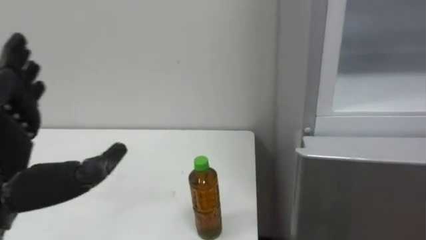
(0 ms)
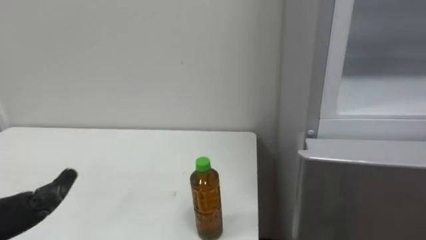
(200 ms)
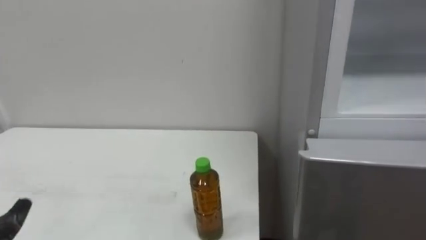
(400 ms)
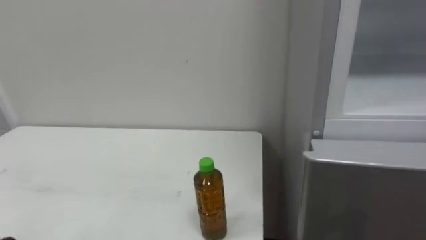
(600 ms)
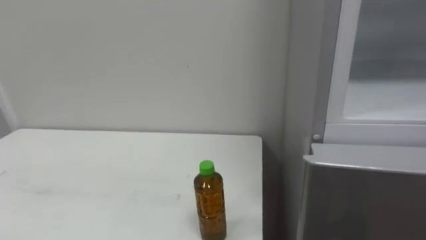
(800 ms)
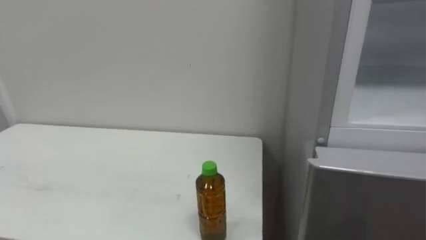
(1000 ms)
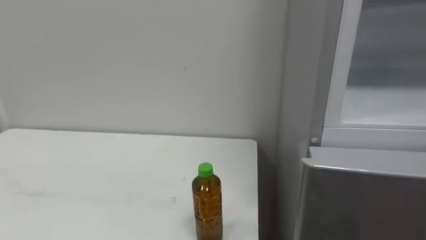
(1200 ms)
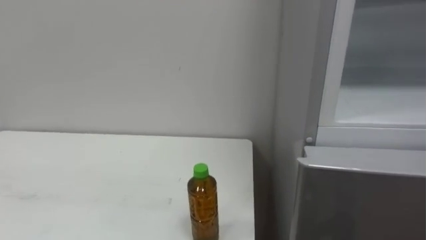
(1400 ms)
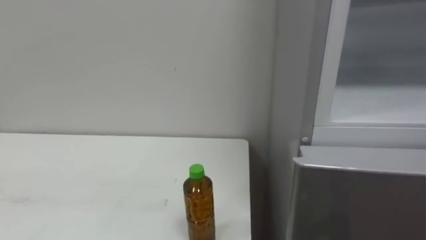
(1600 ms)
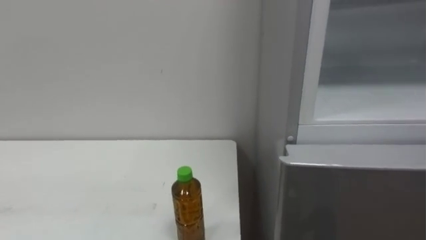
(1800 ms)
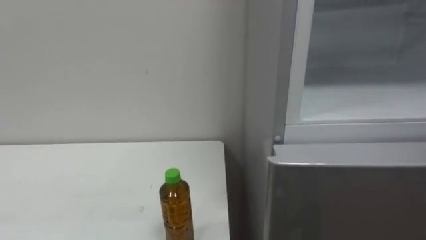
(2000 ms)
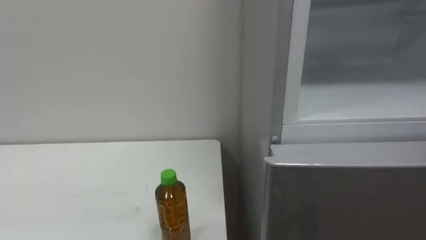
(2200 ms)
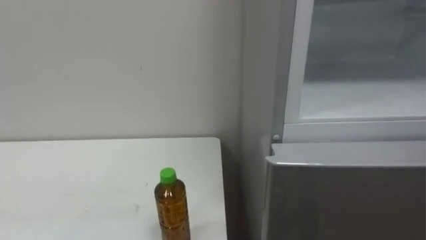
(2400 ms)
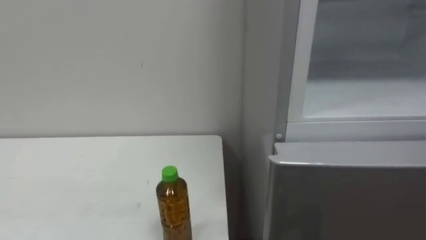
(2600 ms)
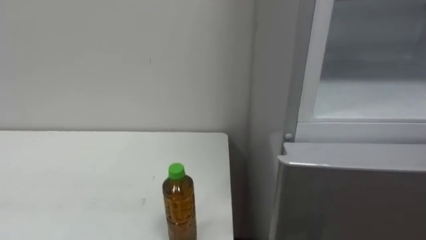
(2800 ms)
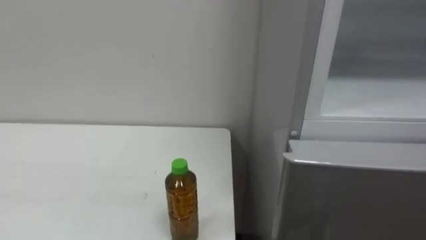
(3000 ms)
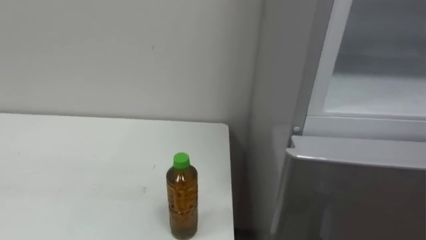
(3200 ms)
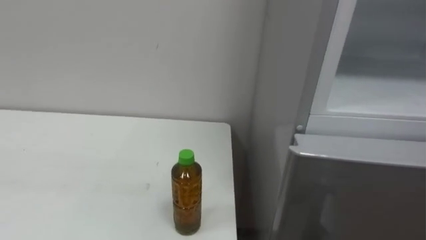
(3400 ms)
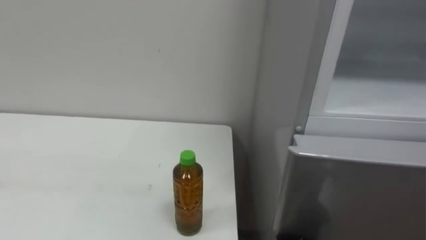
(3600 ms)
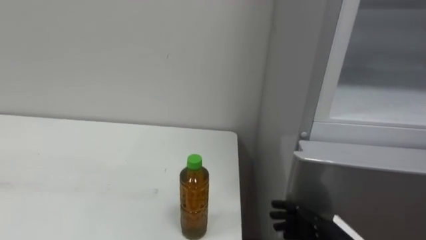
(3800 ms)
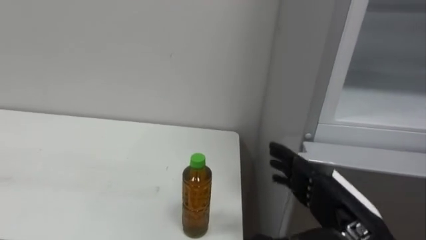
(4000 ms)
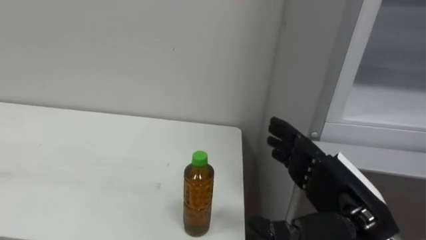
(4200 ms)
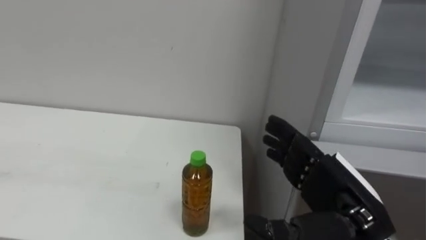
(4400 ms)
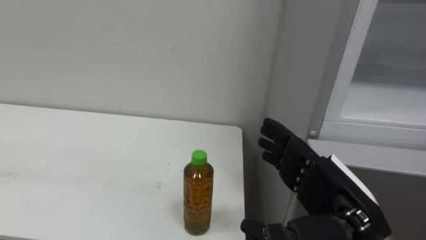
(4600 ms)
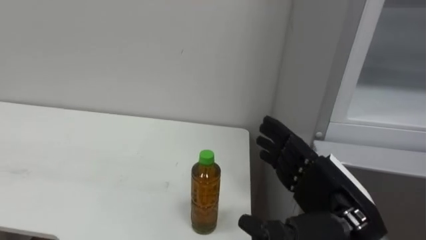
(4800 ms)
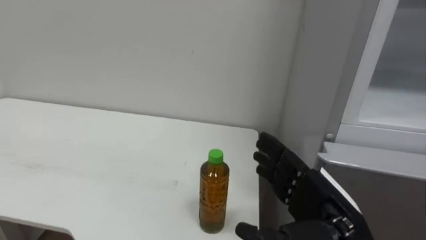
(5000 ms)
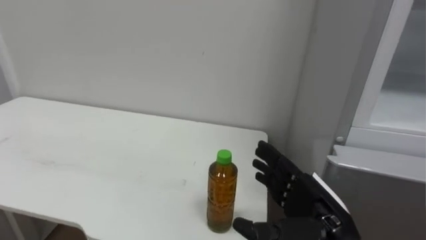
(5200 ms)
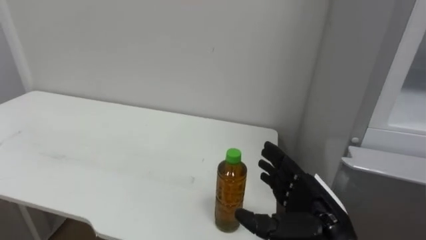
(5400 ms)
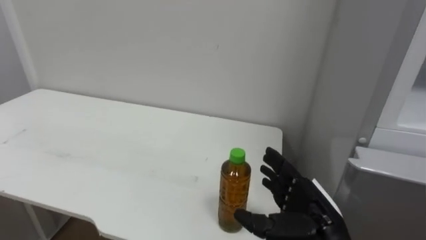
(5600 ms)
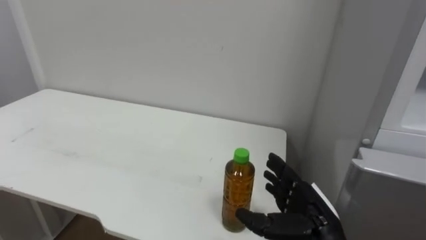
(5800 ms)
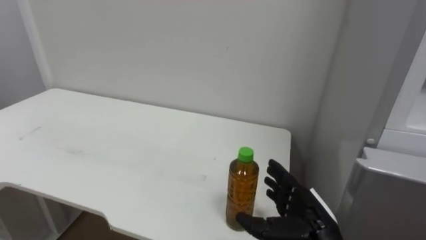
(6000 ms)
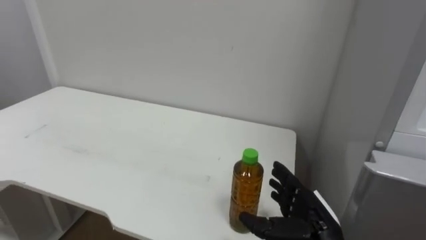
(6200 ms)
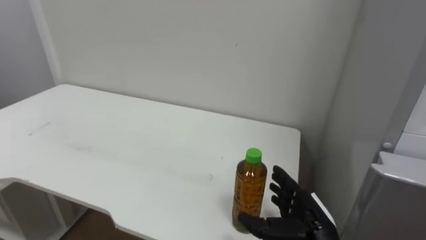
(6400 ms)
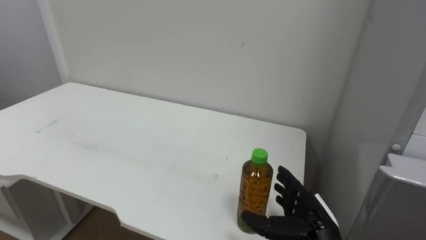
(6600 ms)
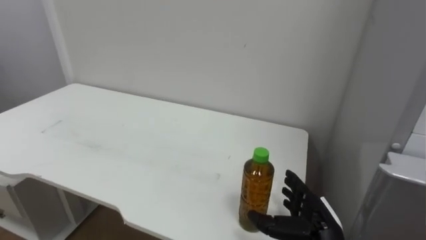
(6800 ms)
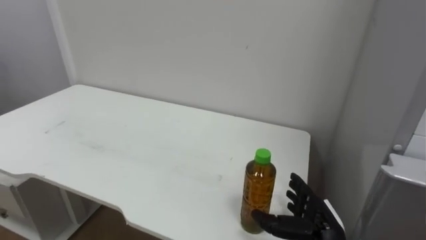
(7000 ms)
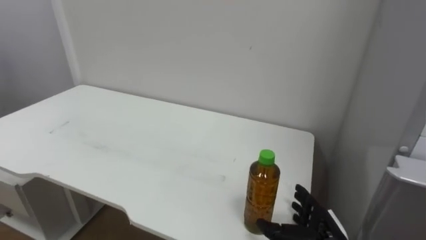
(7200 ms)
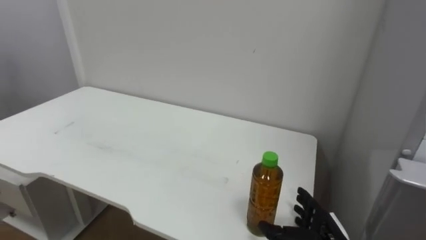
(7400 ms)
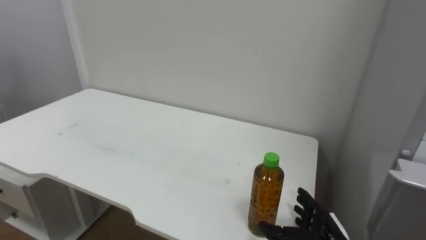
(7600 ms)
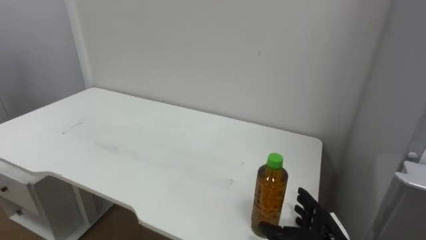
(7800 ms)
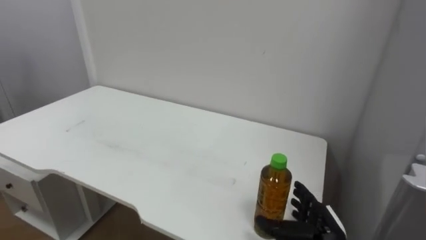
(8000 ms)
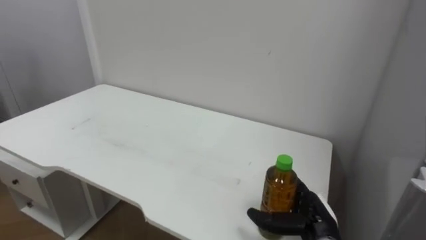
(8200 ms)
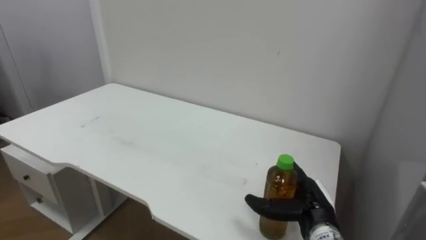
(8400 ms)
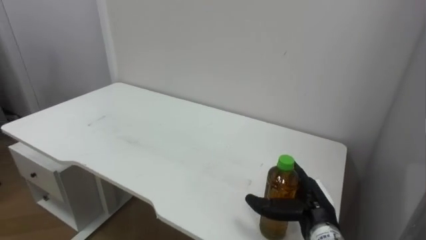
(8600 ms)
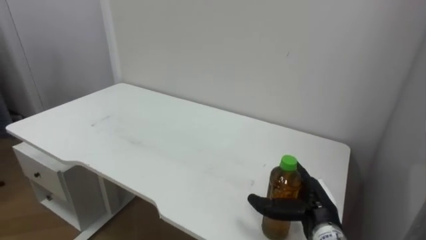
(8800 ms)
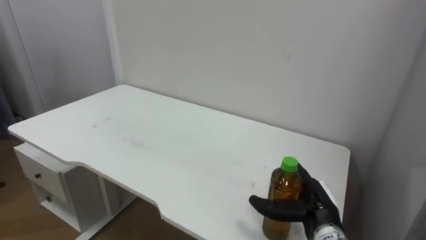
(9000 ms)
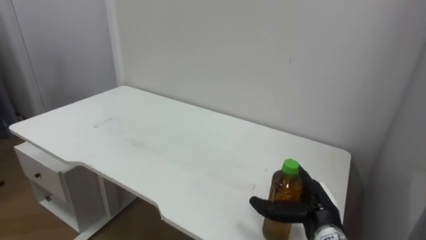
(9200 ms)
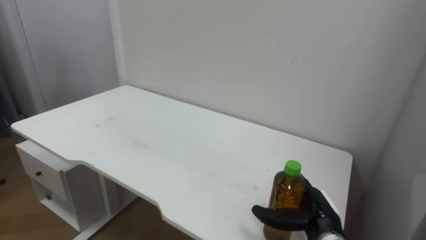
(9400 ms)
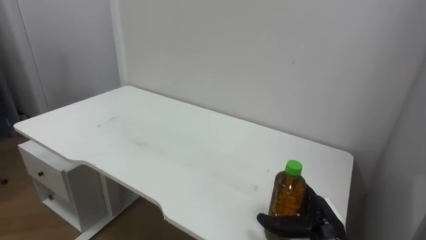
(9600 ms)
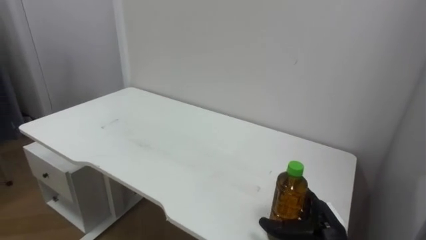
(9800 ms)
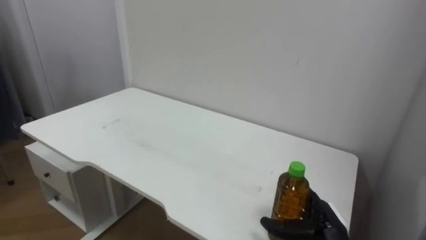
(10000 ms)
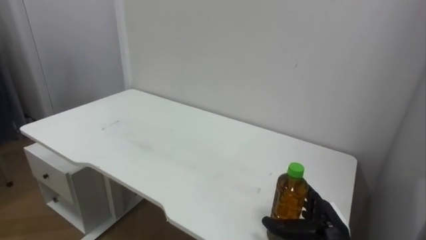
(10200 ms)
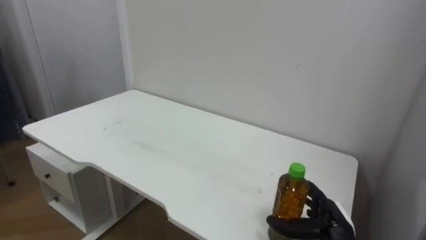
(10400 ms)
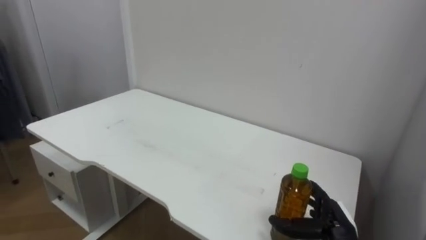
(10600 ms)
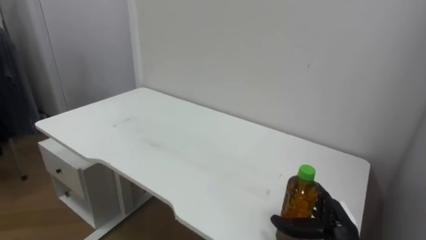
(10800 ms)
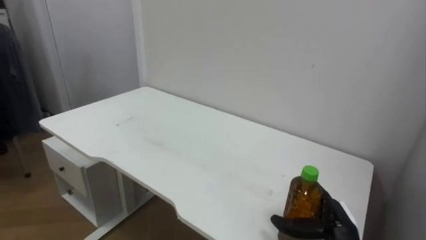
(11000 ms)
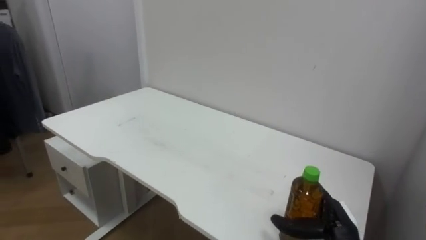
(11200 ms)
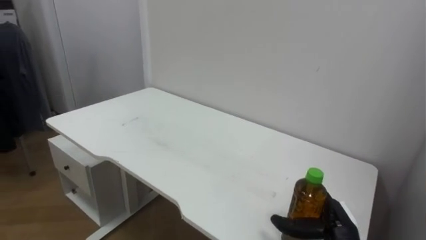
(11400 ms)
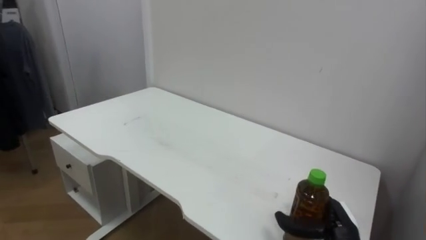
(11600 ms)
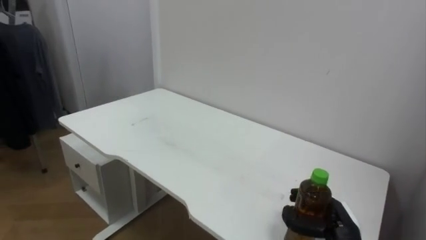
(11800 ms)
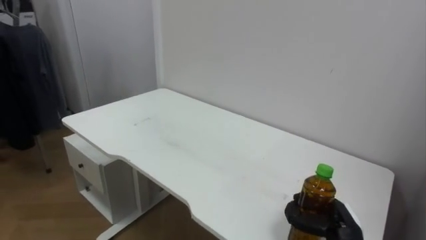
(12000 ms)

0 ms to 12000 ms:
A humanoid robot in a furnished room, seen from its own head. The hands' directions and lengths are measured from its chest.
Task of the whole recording: Open the upper refrigerator door, put the drink from the table into the refrigerator, and then close the refrigerator door.
4400 ms to 6000 ms: The right hand is displaced downward and forward by about 10 cm.
6000 ms to 7600 ms: The right hand travels downward by roughly 5 cm.
7600 ms to 9000 ms: The right hand changes place by approximately 5 cm.
9000 ms to 10400 ms: The right hand changes place by about 5 cm.
10400 ms to 12000 ms: The right hand closes up.

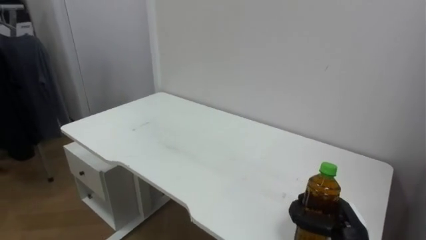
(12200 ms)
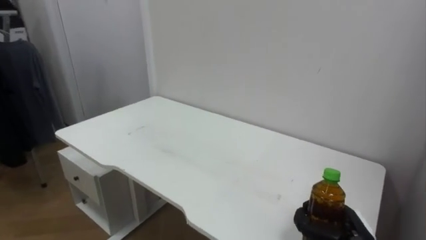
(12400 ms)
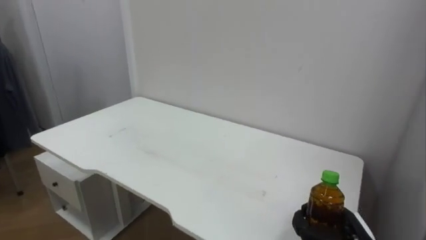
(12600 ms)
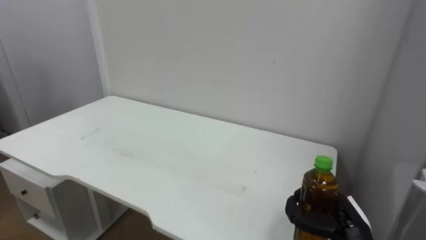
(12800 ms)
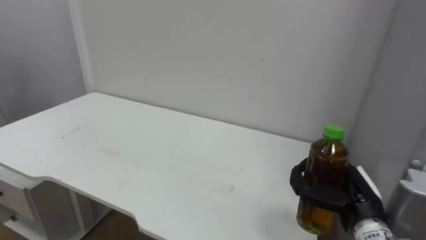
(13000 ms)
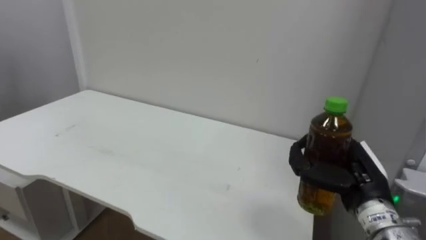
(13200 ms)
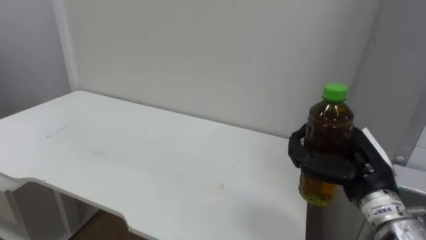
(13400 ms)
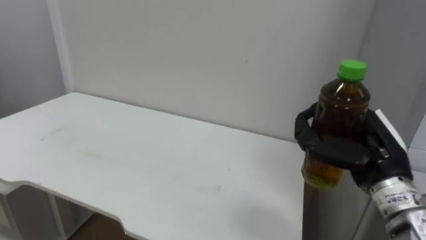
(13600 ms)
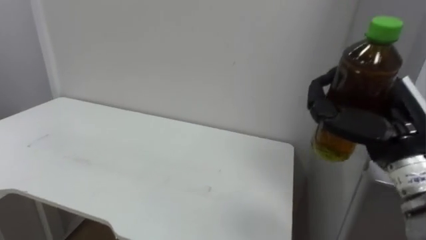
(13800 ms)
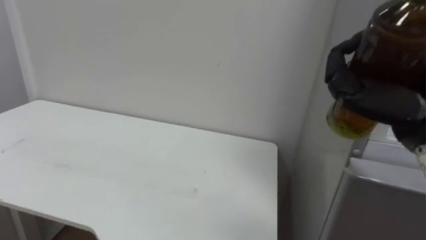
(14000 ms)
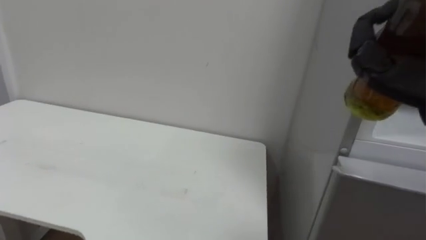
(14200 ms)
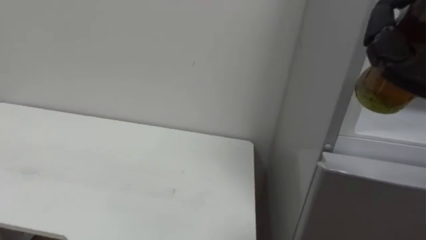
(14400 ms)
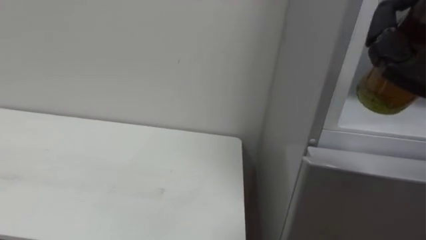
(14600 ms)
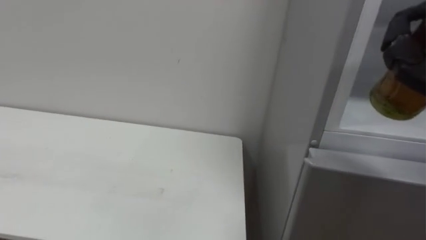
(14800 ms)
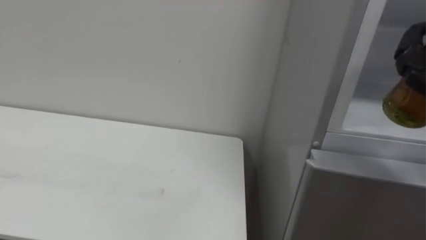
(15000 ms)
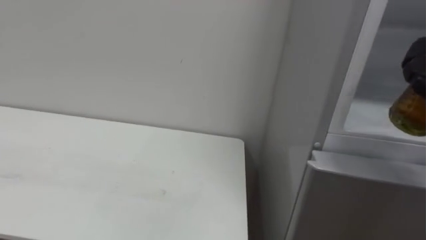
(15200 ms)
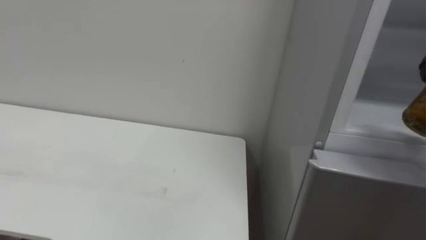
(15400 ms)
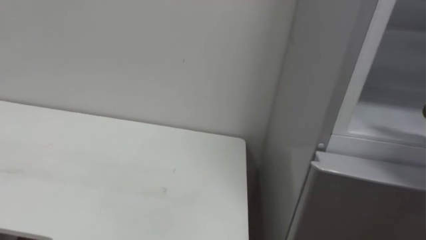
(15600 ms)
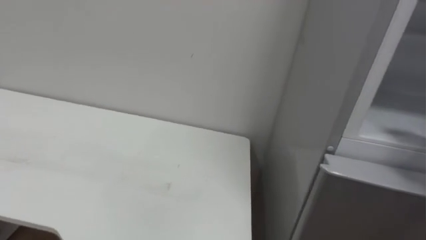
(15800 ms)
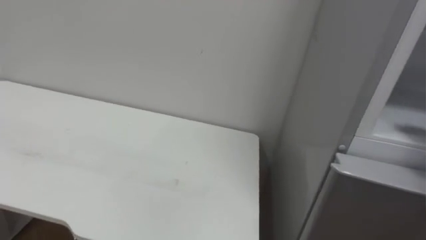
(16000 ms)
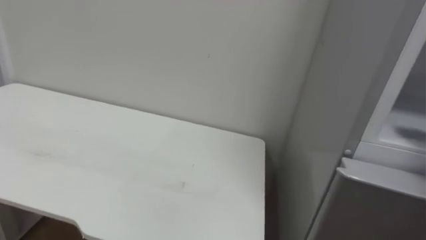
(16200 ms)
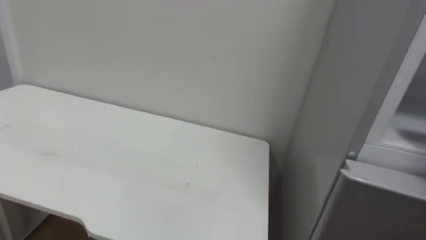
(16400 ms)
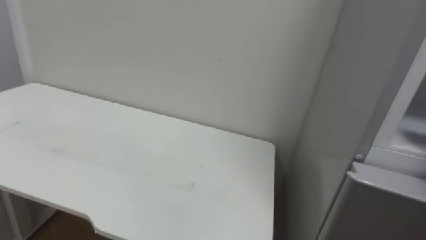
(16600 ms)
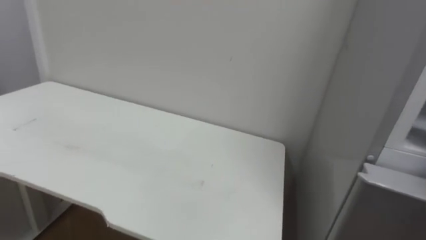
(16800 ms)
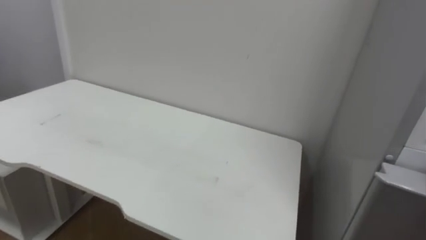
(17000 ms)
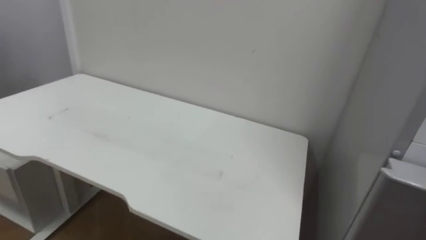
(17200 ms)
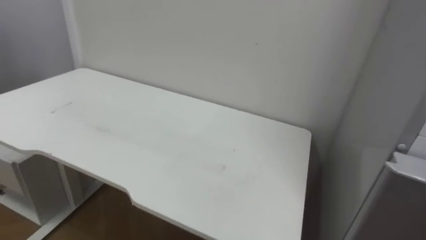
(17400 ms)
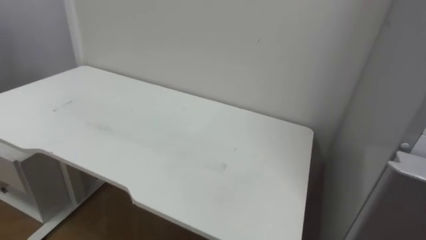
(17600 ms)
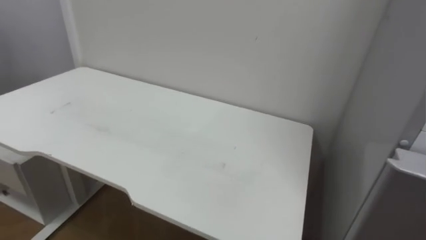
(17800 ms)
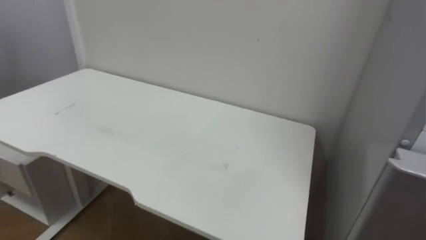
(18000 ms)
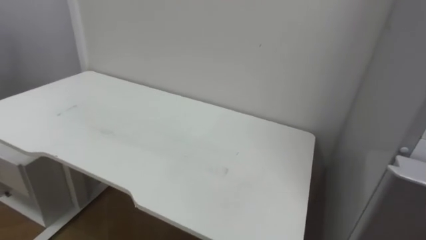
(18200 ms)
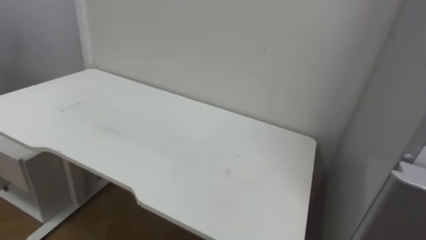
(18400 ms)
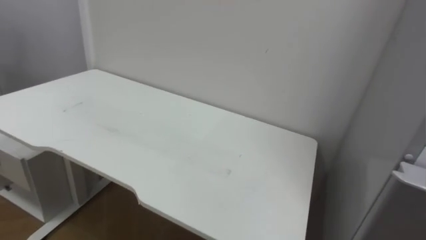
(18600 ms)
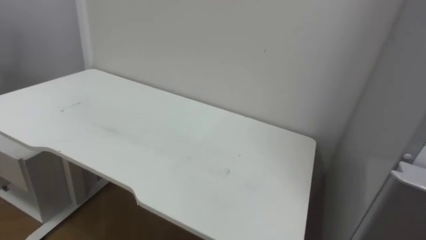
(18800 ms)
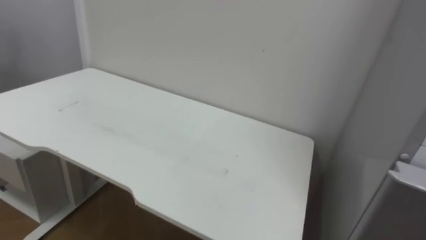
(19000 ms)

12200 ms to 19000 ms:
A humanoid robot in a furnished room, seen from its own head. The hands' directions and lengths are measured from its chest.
Task of the whole recording: Open the upper refrigerator door, put the drink from the table into the refrigerator, and then close the refrigerator door.
12200 ms to 13600 ms: The right hand shifts about 20 cm upward.
